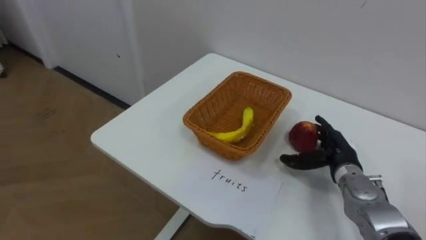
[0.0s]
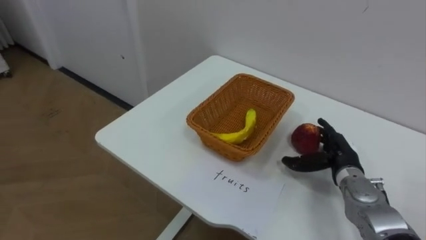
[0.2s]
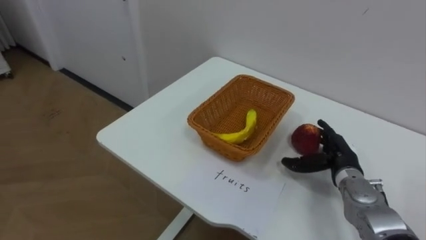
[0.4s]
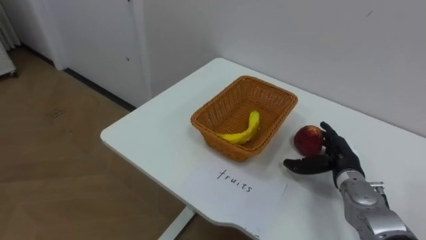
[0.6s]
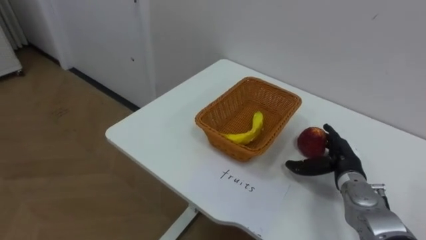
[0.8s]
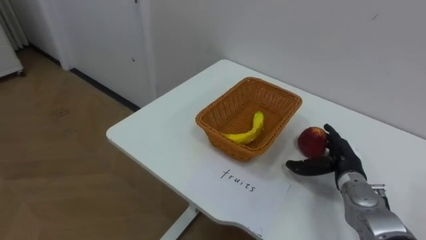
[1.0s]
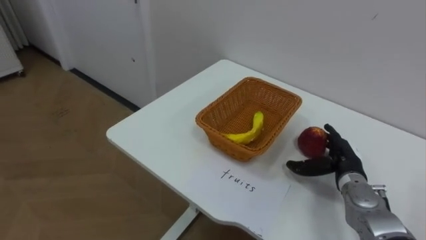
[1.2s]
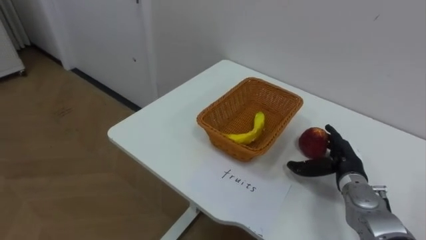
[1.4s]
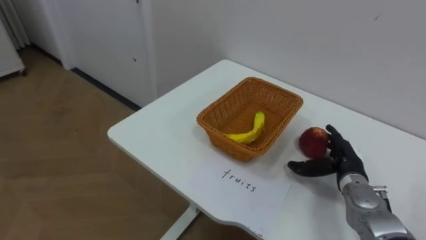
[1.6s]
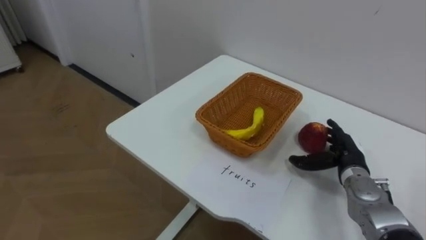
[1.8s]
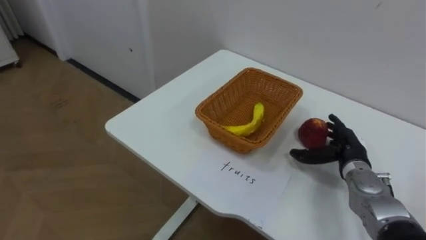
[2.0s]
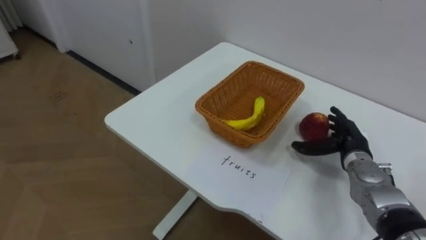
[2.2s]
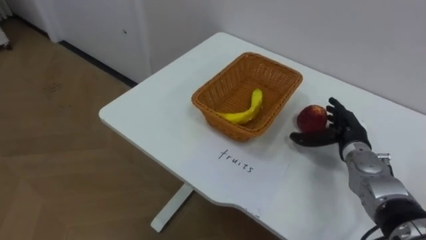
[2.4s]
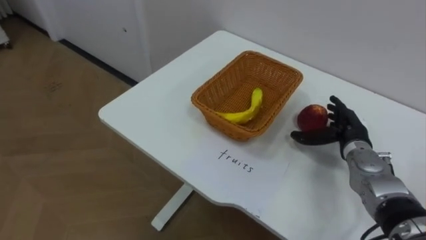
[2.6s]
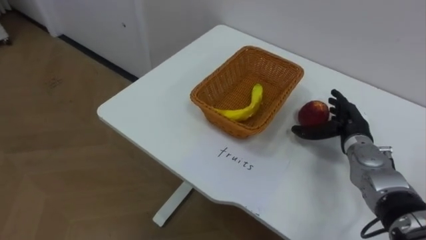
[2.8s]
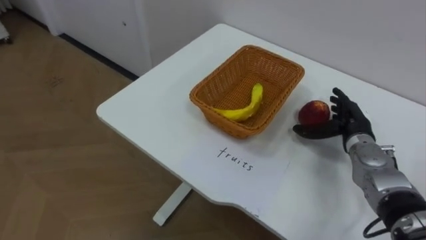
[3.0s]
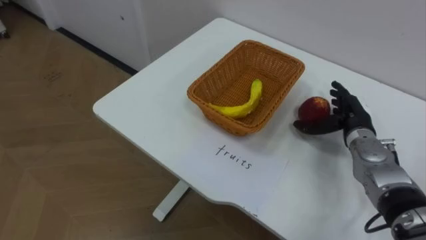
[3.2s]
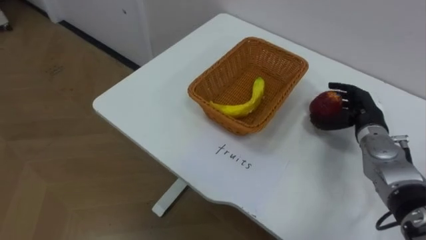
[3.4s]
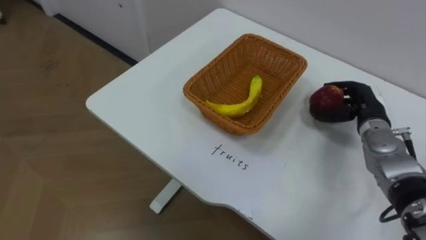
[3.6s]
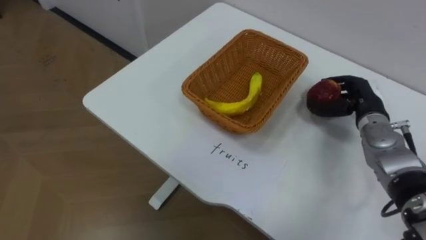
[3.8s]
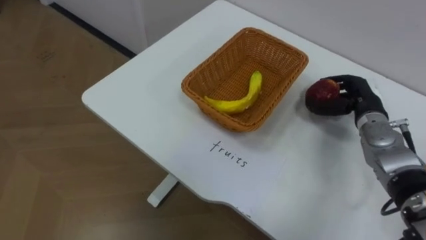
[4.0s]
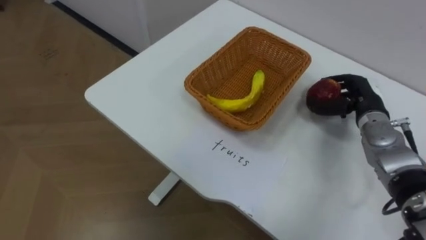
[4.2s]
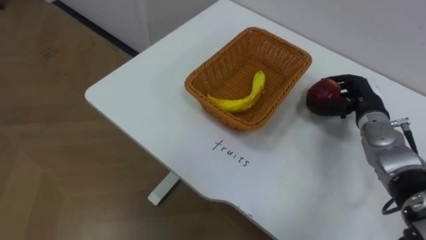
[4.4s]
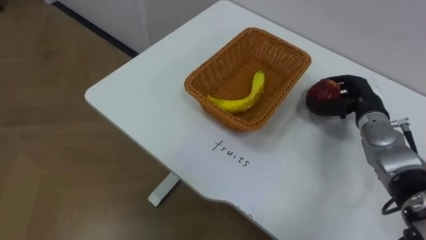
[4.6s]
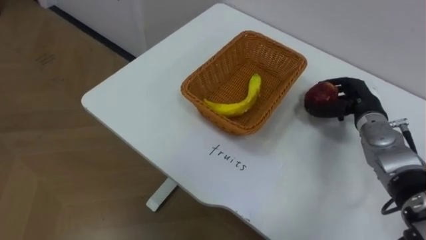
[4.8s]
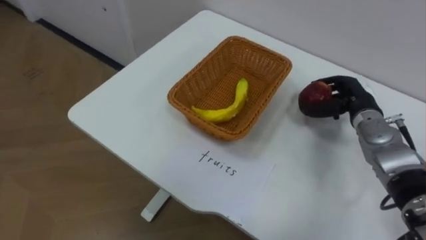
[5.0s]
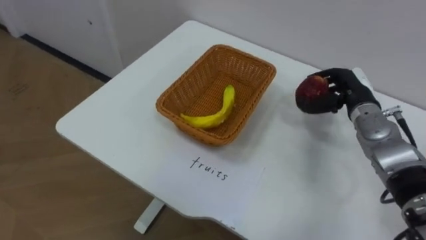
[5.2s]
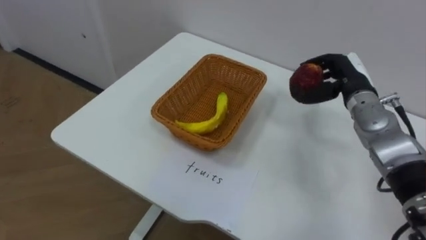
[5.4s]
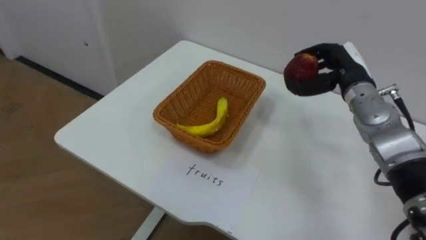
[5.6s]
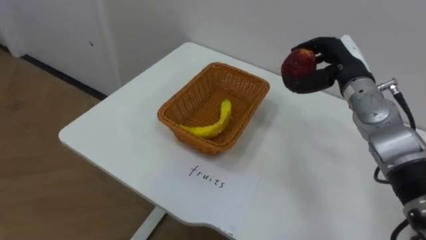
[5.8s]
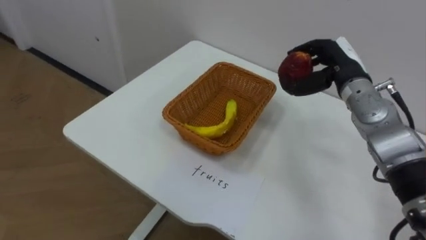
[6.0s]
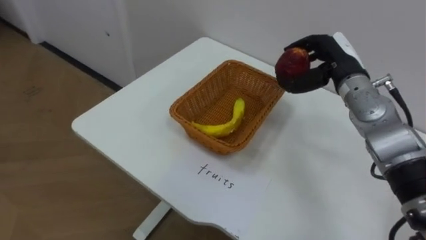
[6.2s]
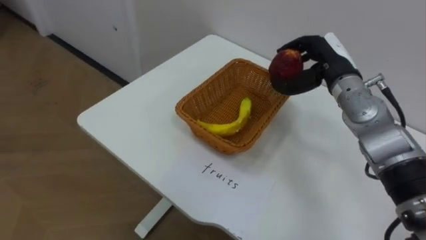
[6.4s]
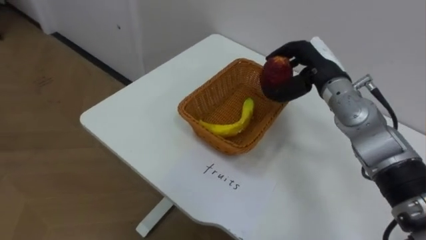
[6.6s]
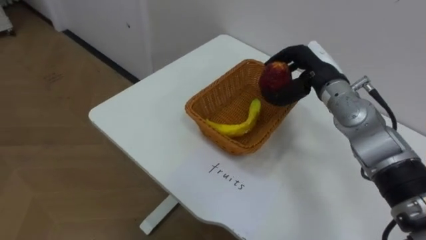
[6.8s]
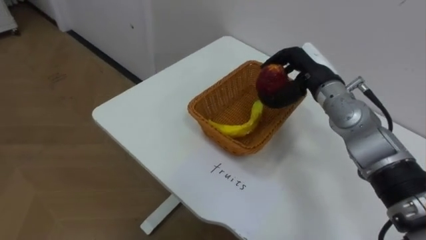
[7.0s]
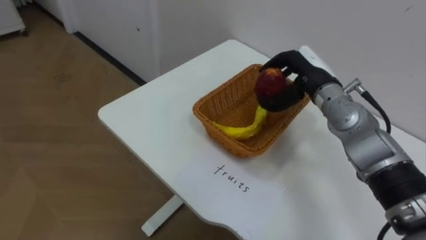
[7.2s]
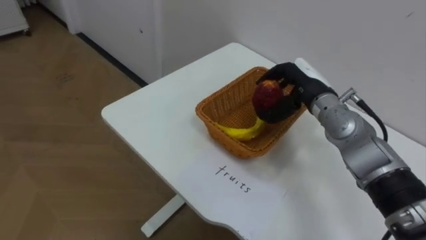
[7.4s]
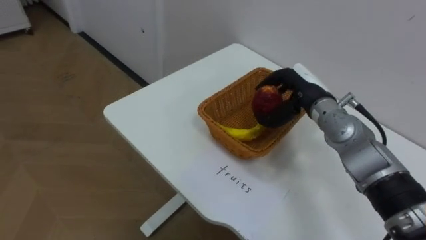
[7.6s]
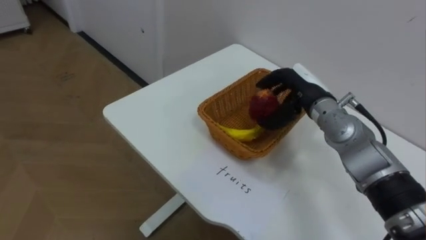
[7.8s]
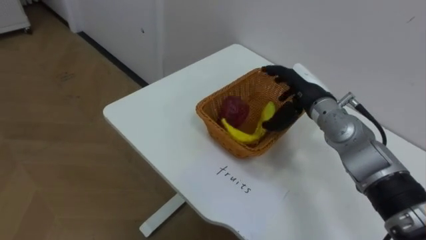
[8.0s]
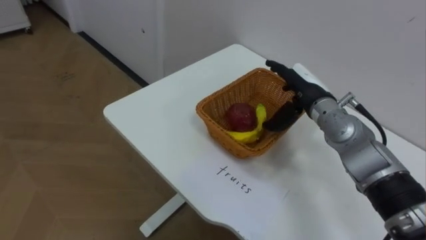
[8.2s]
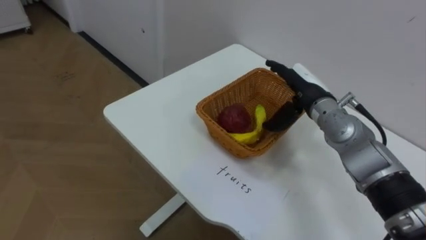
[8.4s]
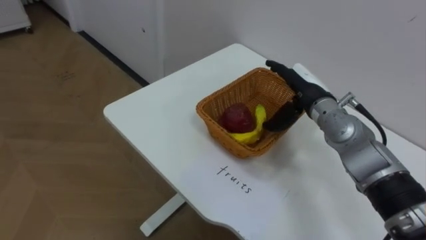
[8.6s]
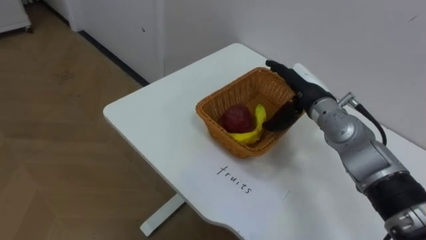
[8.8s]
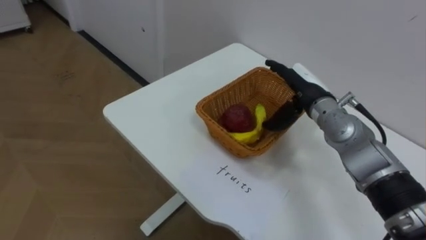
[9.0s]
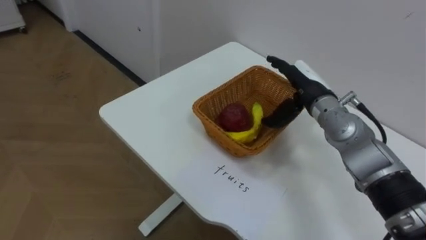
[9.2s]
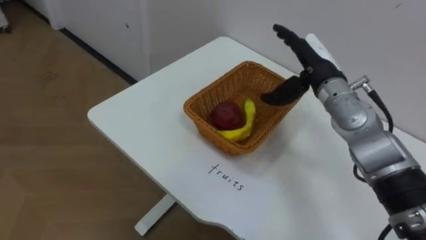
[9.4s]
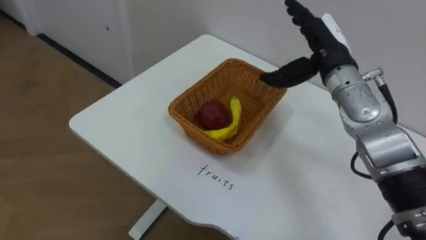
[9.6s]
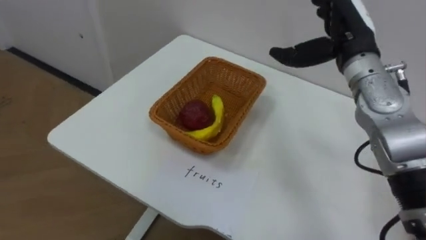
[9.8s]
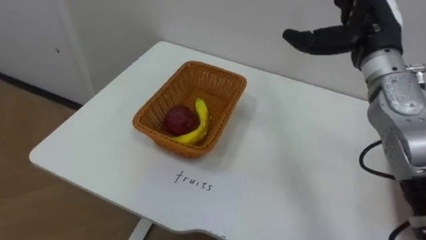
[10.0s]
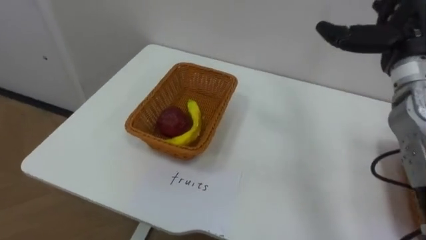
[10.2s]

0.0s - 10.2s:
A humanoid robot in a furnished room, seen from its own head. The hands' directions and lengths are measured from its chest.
Task of the whole recording: Separate the items on the table and place them into the two baskets.
1.4s - 3.0s: The right hand moves forward and upward, approximately 10 cm.
3.0s - 4.4s: The right hand changes place by approximately 5 cm, and closes up.
4.4s - 5.8s: The right hand heads upward and to the left, covering about 10 cm.
5.8s - 7.2s: The right hand shifts about 5 cm to the left.
7.2s - 8.8s: The right hand opens its fingers.
8.8s - 10.2s: The right hand travels upward and to the right by roughly 15 cm.

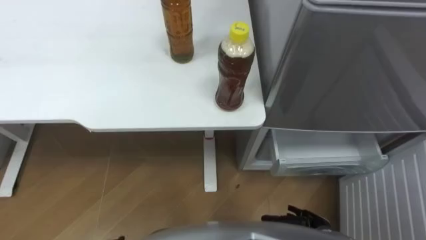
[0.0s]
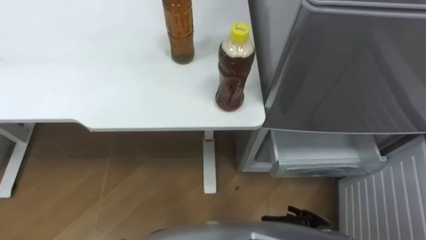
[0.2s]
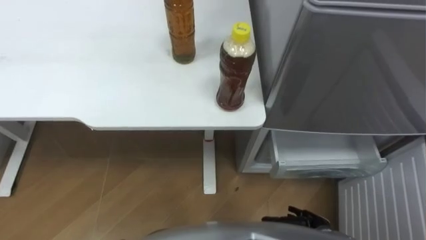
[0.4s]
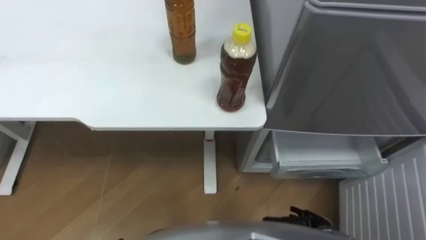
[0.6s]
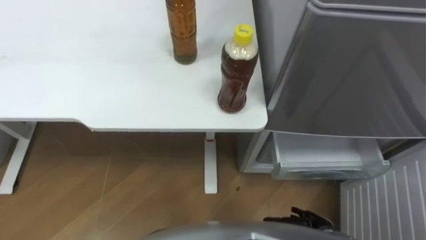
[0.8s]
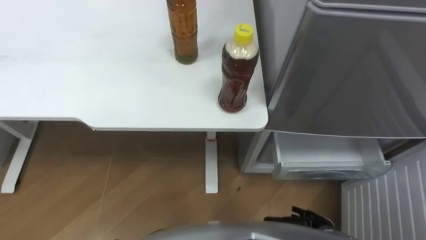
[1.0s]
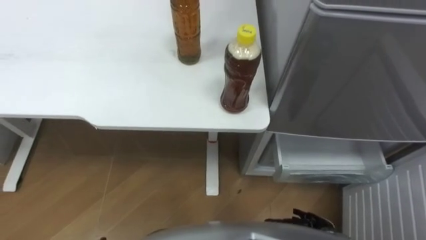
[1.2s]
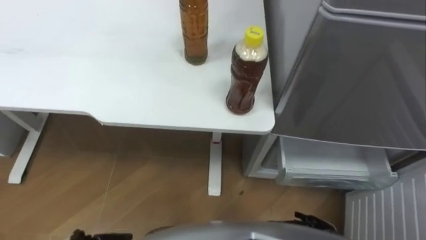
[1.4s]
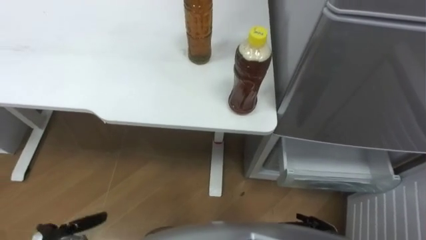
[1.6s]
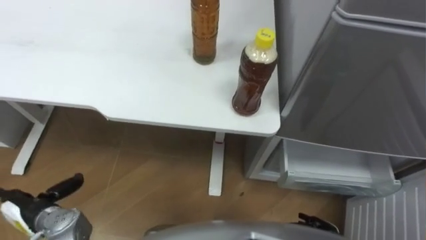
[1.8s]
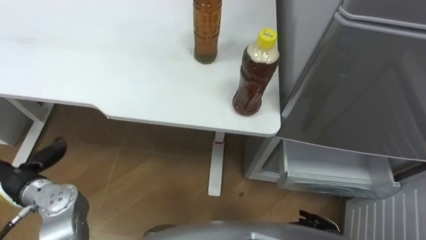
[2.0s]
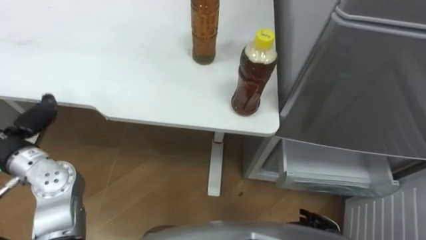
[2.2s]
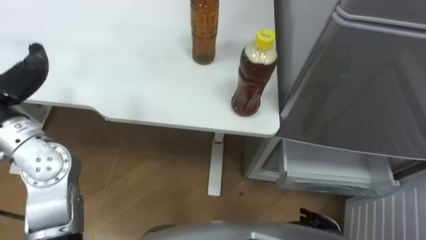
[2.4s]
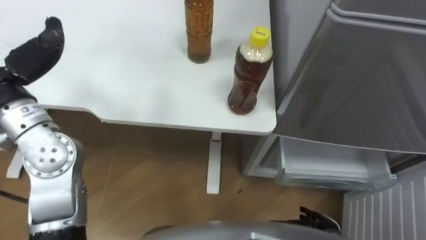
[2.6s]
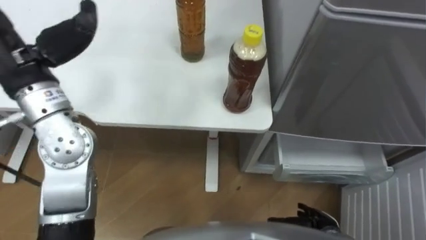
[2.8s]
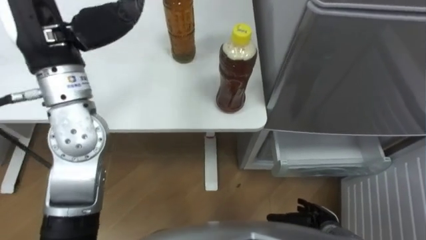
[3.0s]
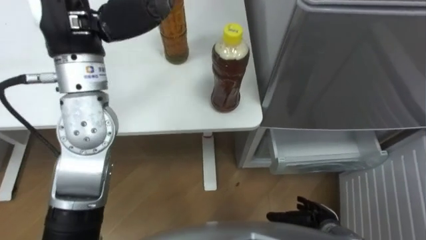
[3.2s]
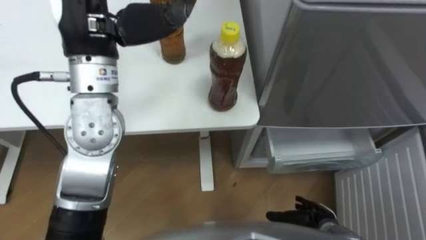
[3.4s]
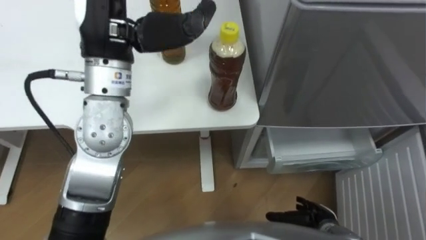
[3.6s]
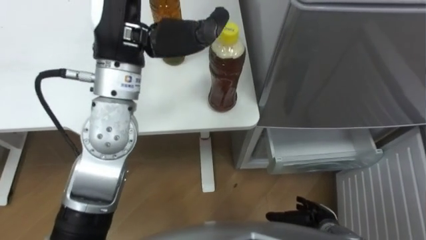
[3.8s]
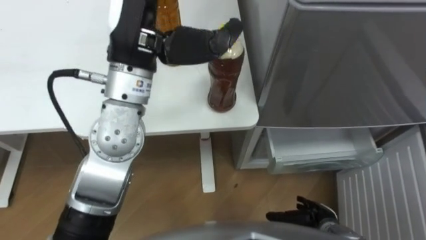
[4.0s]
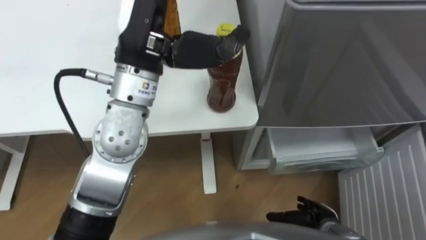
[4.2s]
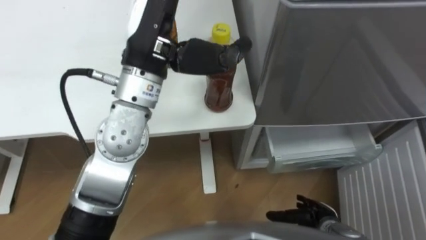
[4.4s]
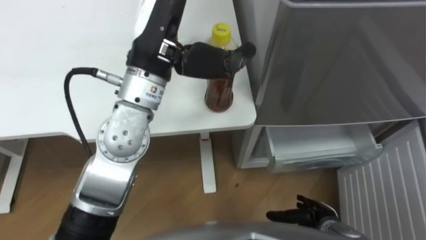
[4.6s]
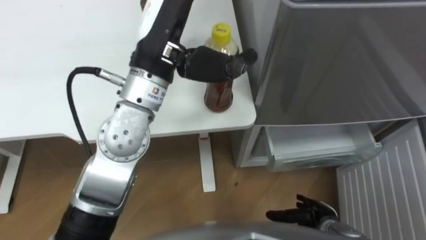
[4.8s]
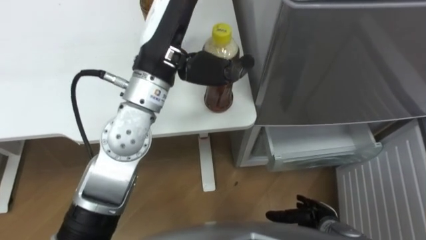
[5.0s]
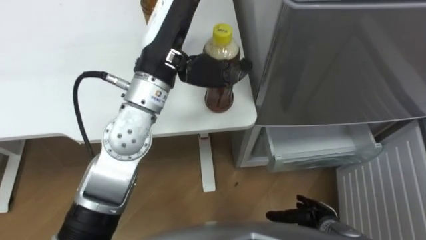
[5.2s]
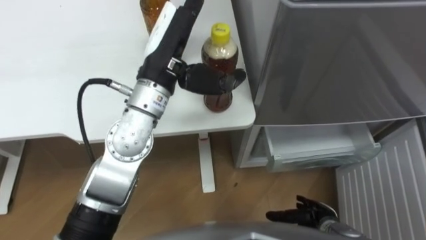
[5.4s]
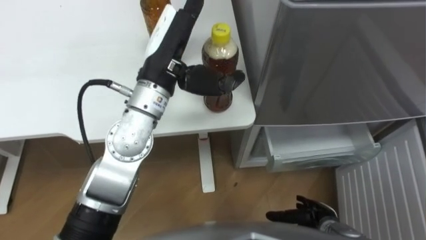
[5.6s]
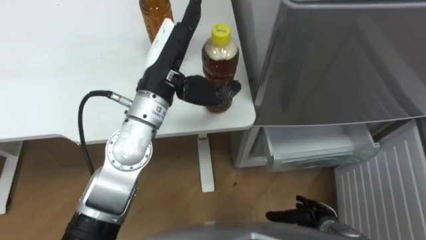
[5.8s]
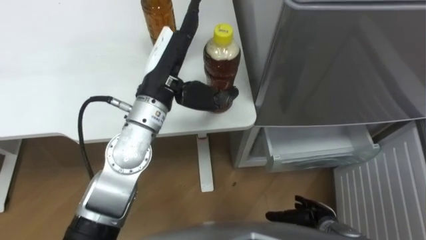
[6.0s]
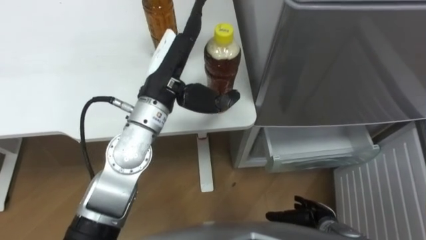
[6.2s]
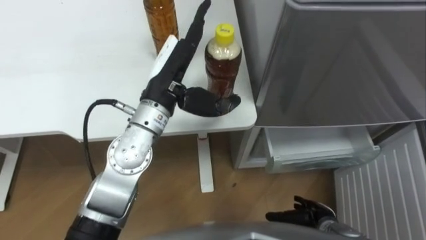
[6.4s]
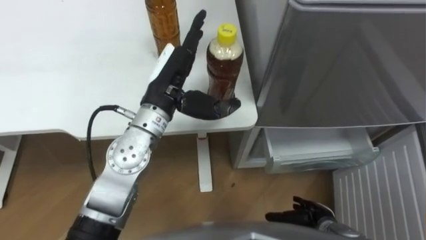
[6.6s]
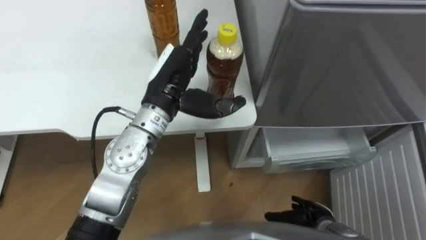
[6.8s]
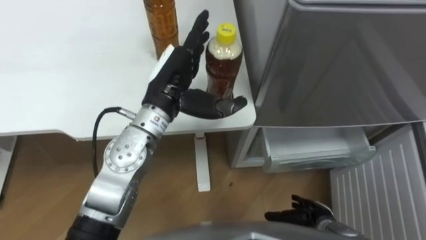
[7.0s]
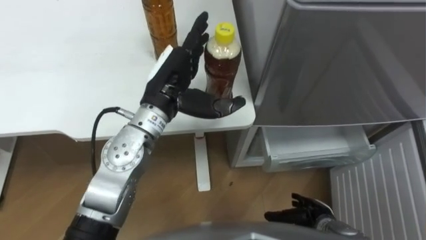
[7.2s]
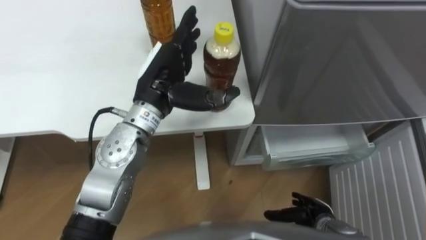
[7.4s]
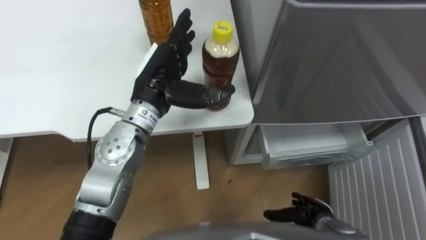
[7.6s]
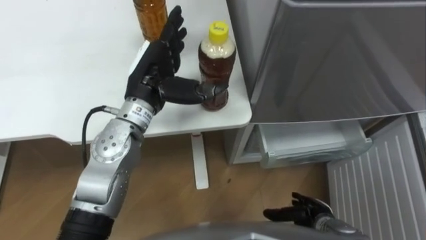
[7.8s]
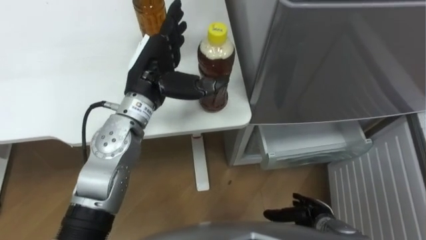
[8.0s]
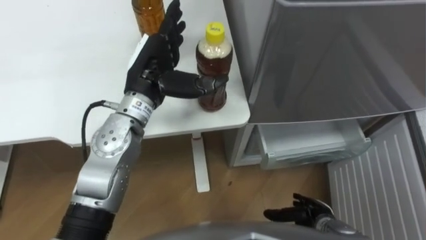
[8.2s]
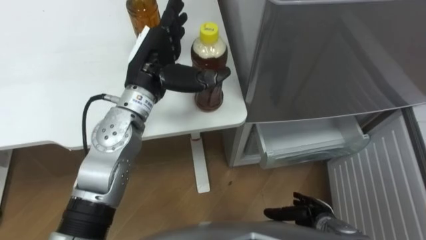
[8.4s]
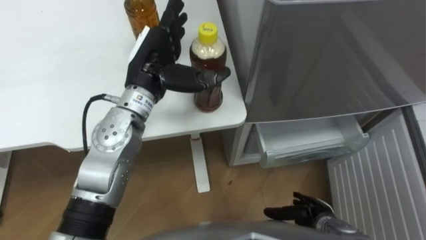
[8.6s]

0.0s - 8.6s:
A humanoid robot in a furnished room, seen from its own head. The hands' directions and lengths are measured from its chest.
Task of the whole recording: Place the drink on the table on the bottom shelf of the refrigerator, then close the drawer and the refrigerator door.
2.8s - 4.4s: The left hand shifts approximately 15 cm to the right.
4.4s - 5.8s: The left hand heads downward, covering some 10 cm.
